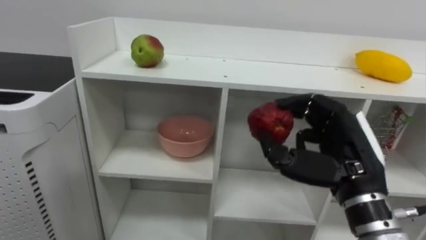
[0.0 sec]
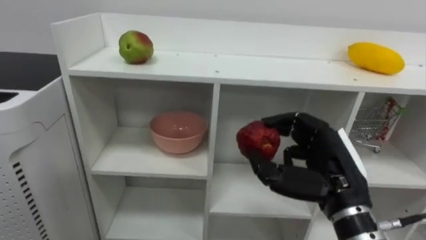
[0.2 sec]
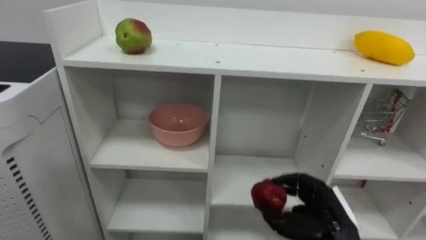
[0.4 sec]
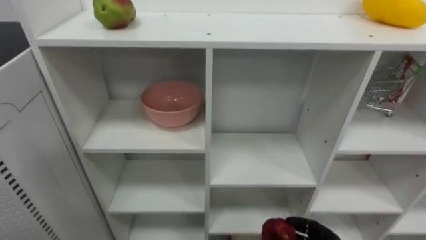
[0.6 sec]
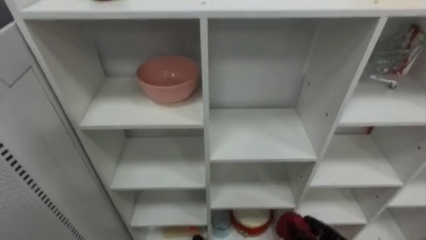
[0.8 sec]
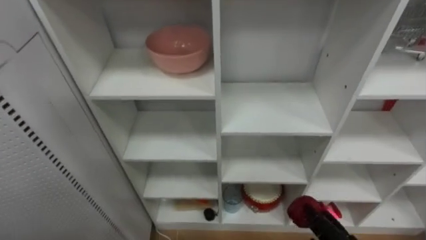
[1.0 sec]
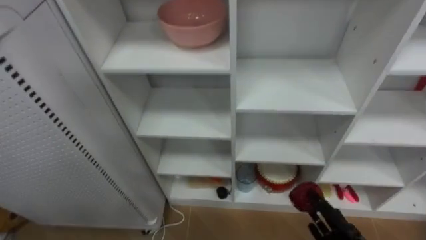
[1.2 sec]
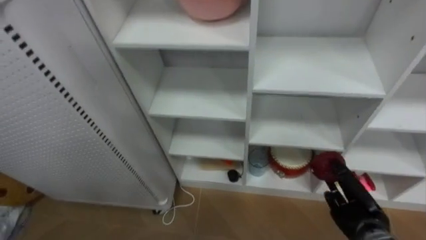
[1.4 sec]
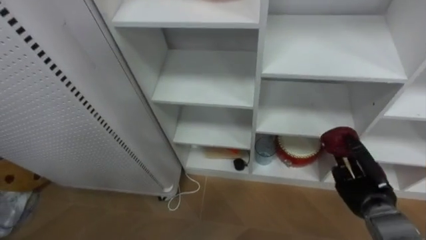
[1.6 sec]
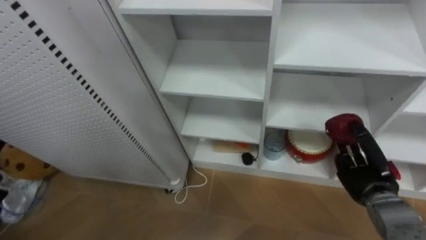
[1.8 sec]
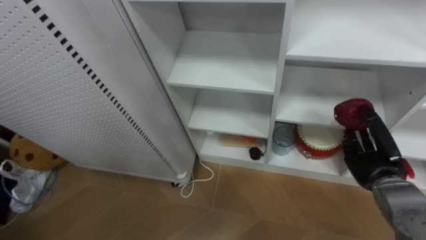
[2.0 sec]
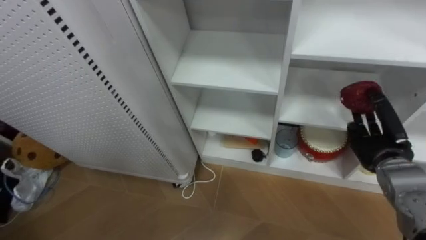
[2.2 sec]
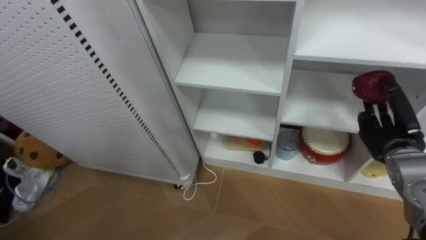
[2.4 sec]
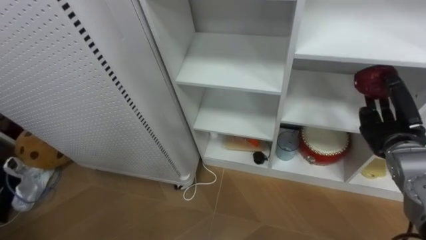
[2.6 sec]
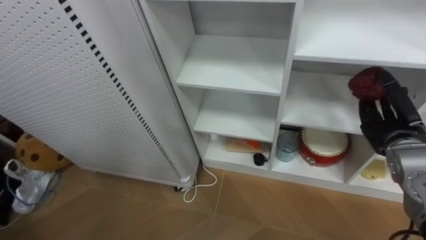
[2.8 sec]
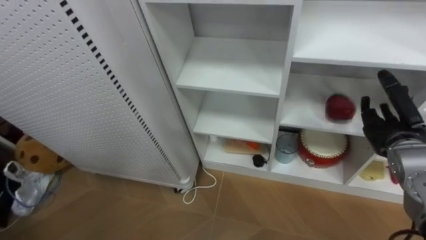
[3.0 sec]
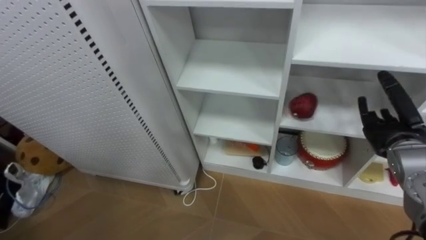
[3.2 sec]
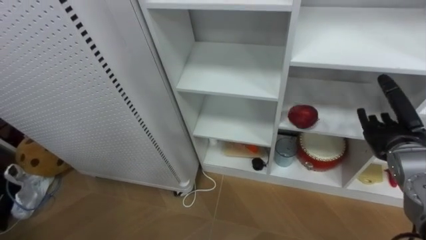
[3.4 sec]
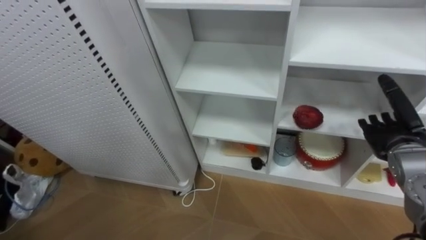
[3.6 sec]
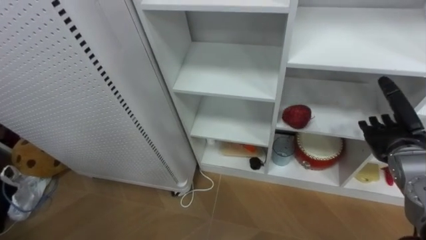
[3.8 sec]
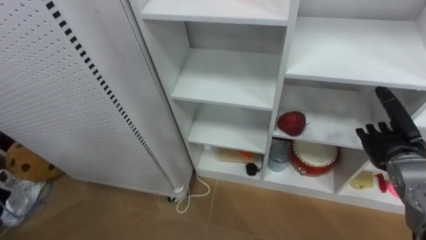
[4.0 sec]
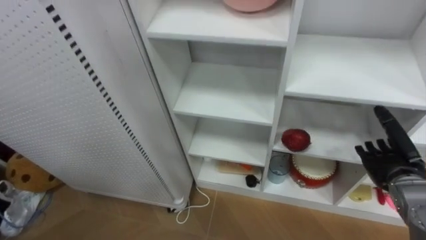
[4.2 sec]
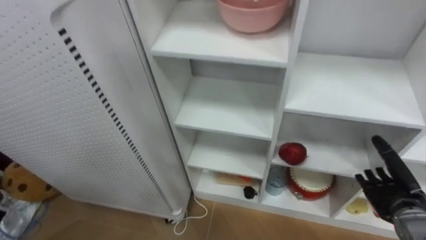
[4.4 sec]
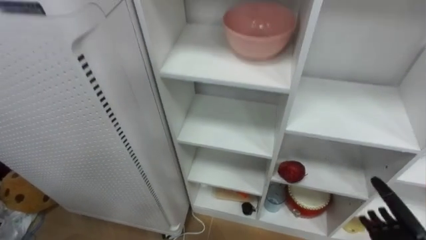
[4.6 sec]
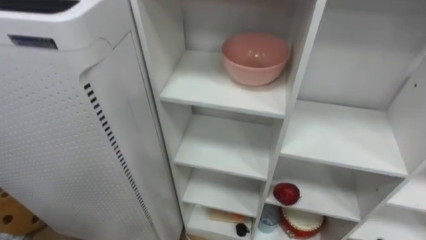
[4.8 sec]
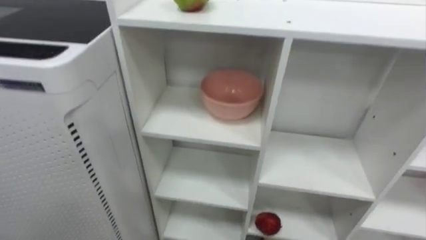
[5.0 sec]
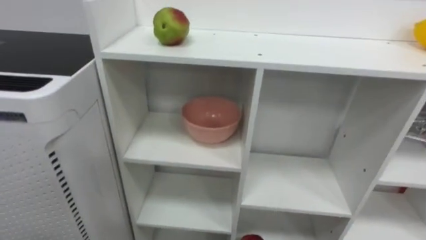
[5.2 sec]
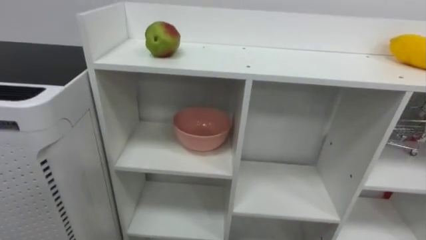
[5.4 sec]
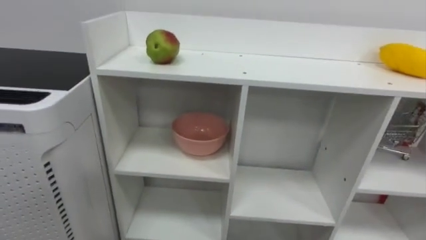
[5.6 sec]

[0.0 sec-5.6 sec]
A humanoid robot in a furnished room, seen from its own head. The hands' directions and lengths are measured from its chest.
Task of the whole recording: Put the apple in the cell in the second column from the left and the second row from the top.
1.4 sec to 2.8 sec: The right hand moves upward, approximately 15 cm.
2.8 sec to 4.2 sec: The right hand travels downward by approximately 5 cm, and opens up.

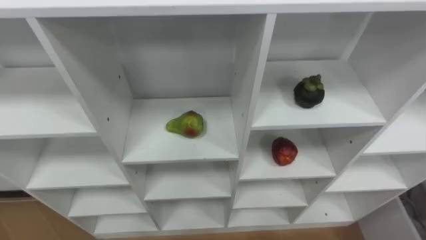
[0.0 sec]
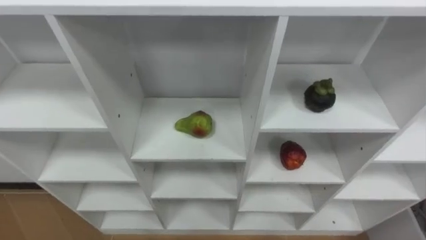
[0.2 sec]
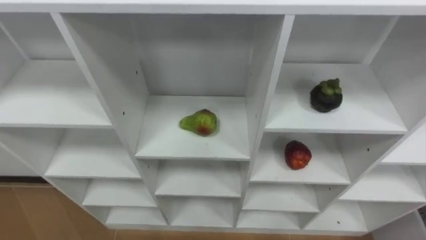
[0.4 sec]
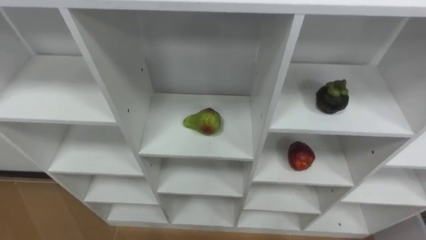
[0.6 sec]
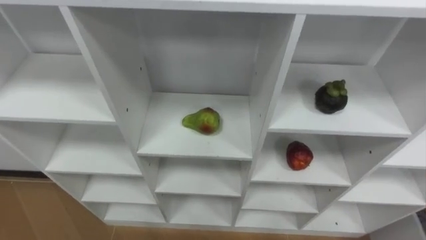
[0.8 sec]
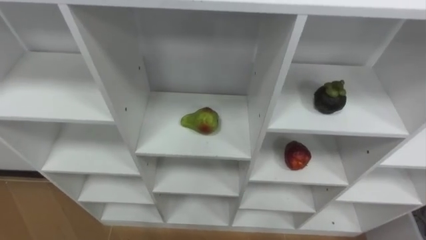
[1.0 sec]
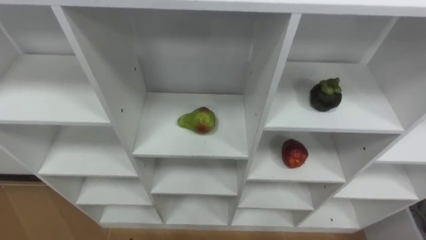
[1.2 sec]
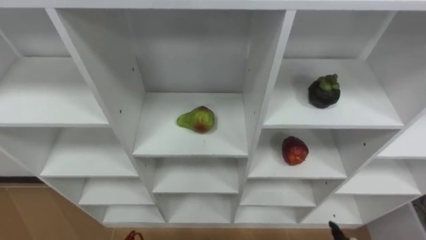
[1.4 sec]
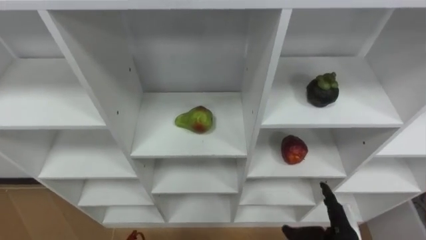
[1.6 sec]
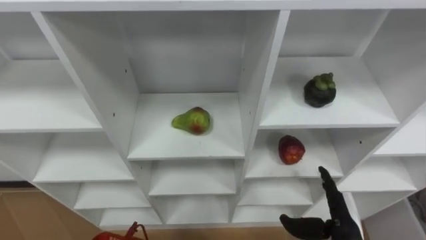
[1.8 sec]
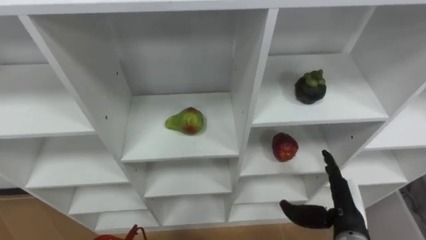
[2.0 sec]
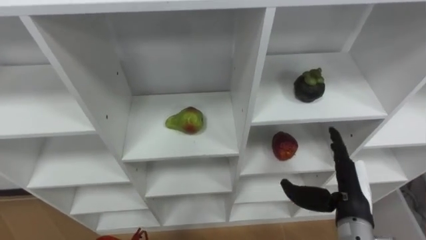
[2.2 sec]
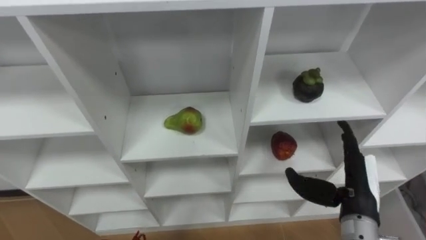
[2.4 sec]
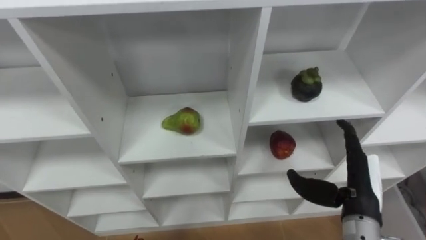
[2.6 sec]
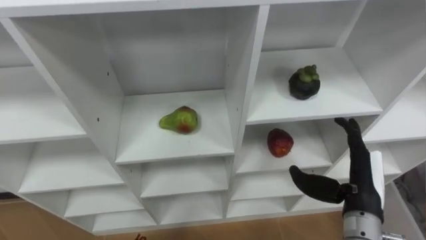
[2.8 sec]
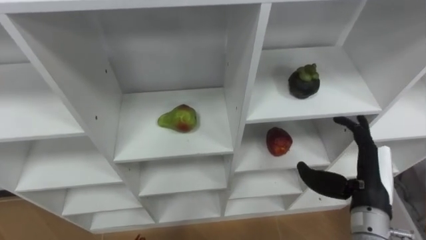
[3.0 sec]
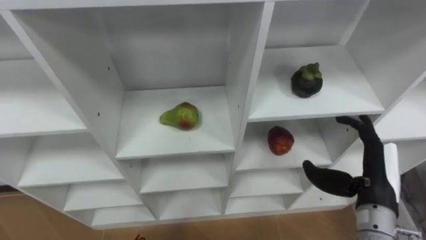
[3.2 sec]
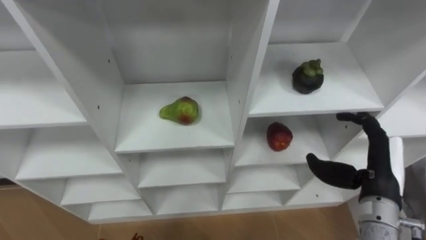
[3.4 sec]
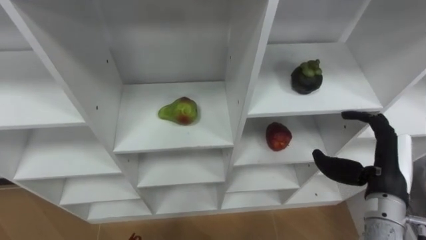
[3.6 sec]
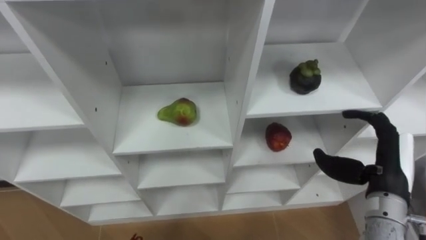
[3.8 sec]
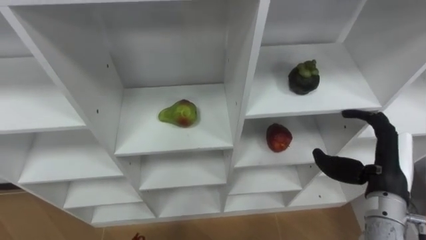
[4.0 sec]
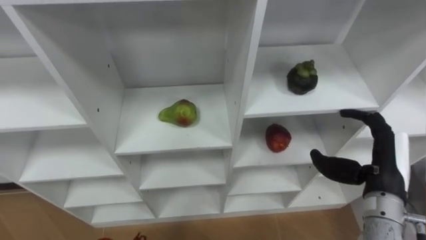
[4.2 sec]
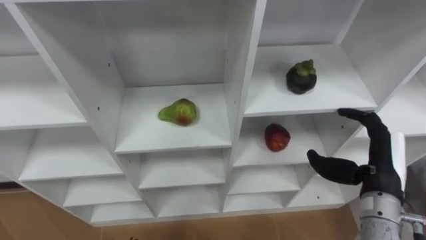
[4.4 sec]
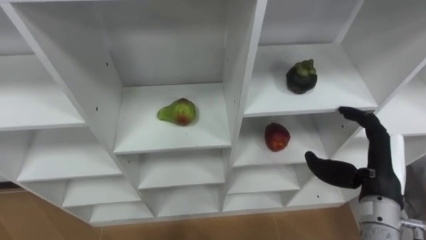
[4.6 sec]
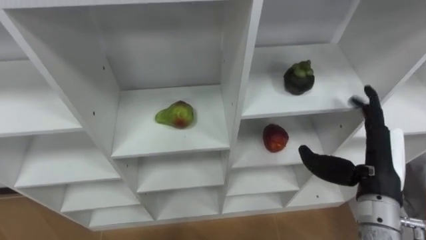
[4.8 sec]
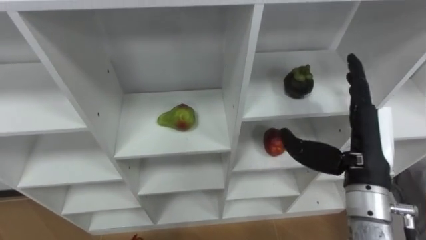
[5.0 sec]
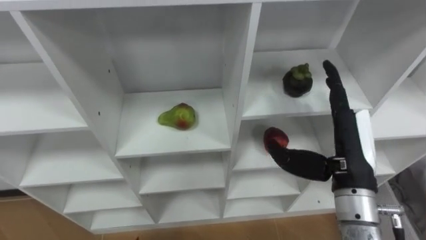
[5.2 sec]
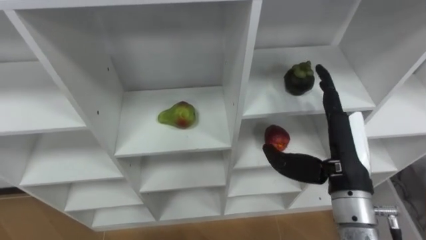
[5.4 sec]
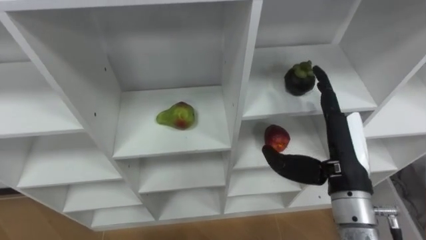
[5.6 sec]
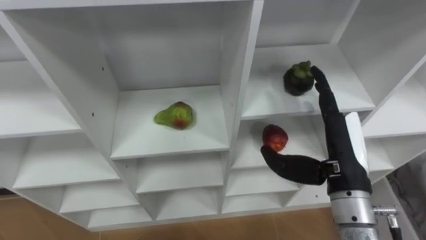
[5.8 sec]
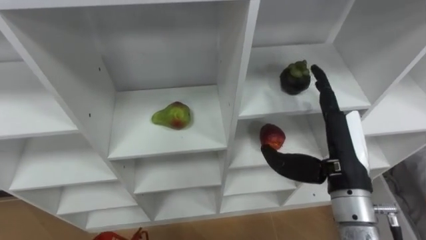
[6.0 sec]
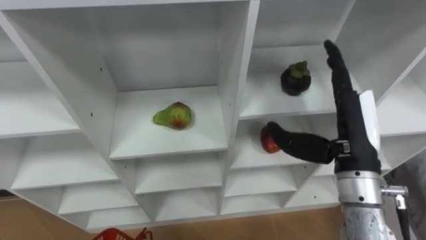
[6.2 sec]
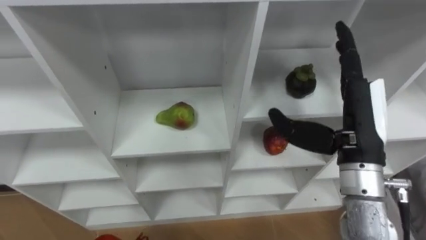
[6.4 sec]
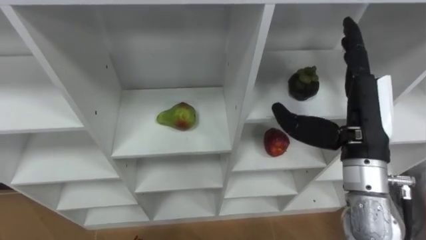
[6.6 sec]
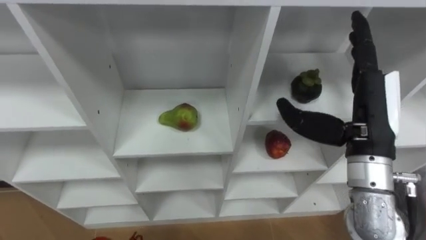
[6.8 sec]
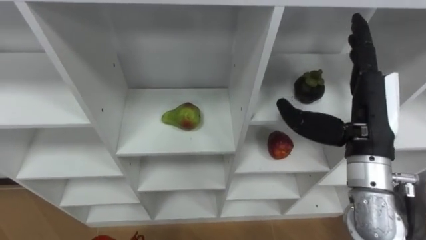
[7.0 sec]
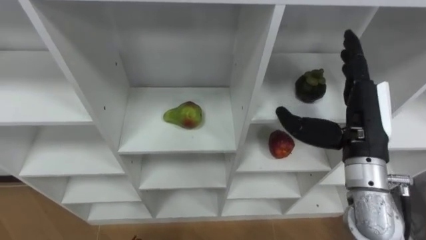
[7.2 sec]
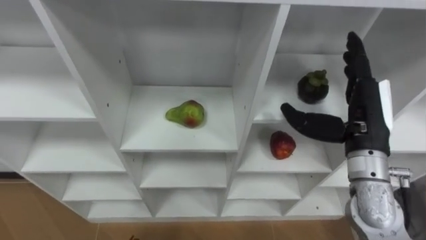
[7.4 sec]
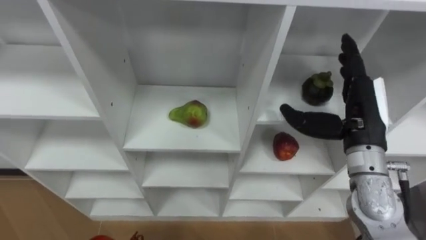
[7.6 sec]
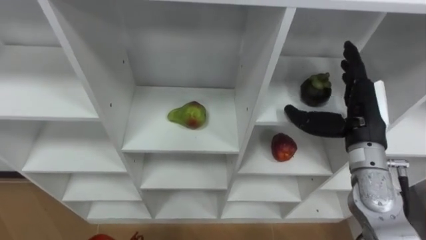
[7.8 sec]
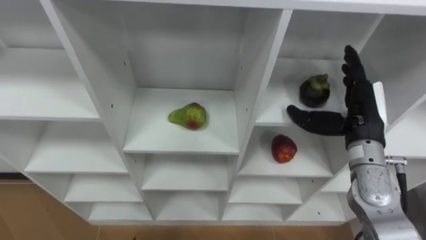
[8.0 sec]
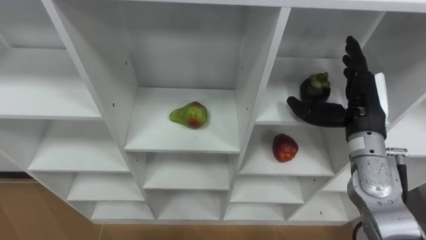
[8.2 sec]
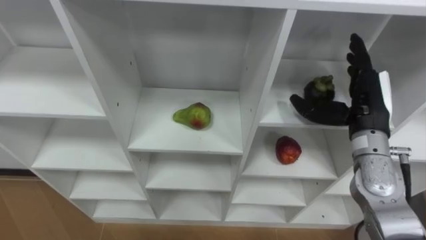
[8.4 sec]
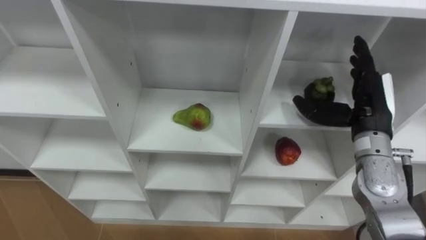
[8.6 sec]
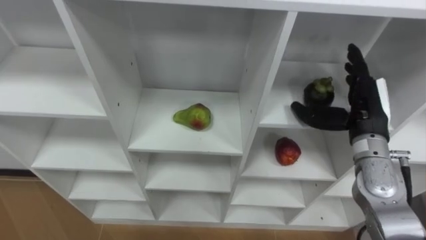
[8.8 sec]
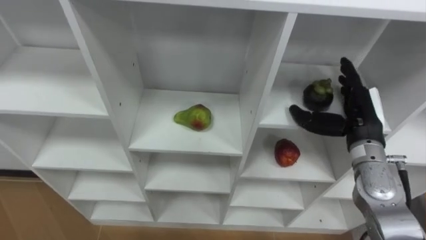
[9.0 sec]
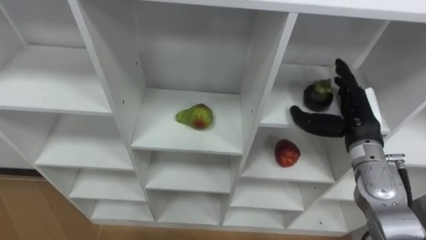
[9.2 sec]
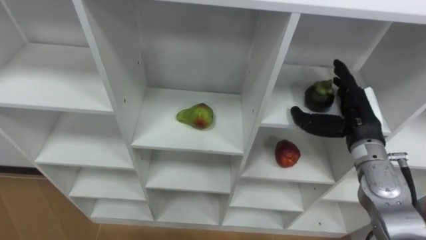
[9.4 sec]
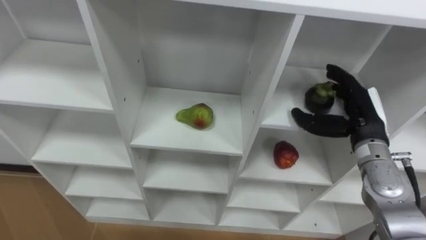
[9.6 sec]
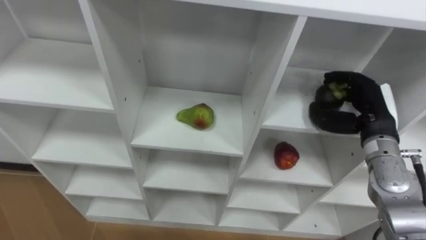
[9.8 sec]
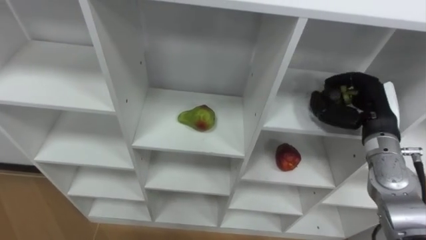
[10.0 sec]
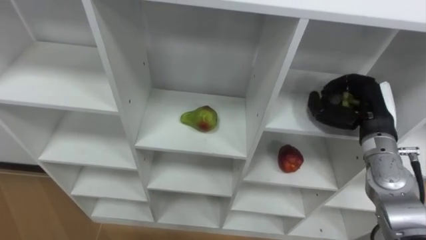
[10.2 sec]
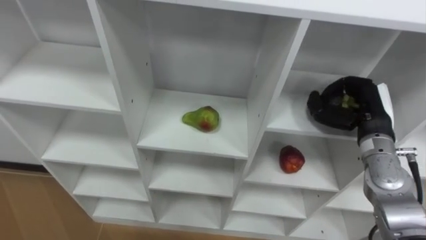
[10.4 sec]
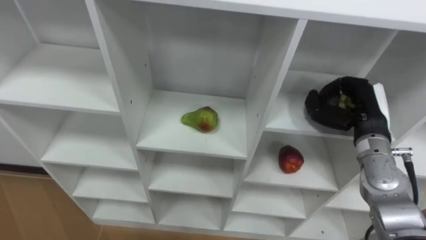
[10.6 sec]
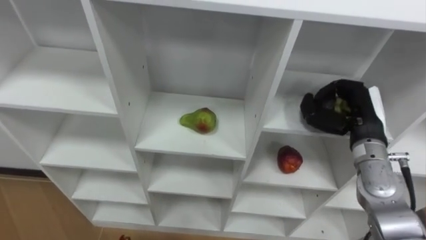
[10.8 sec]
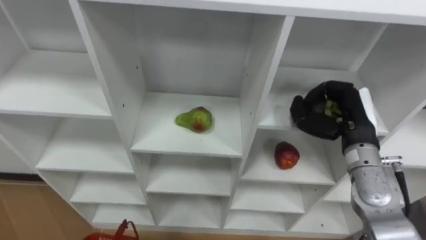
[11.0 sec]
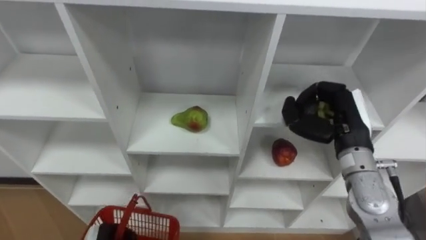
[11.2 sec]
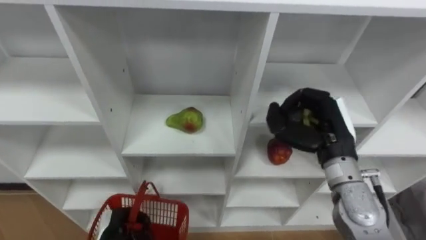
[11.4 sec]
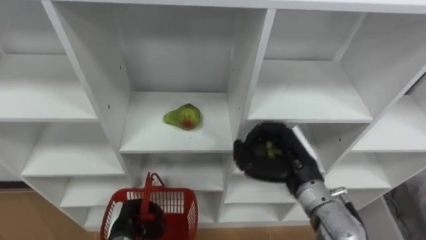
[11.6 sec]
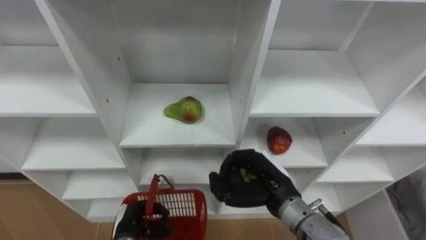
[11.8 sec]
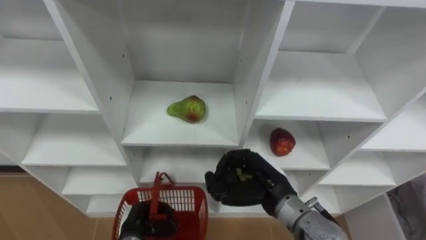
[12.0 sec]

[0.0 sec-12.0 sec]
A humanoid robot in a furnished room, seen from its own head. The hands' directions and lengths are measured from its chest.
Task of the whole recording: Hold the basket and collect the fruits from 3 different cells of the closet into it.
1.6 sec to 3.0 sec: The right hand shifts roughly 15 cm upward.
4.4 sec to 6.0 sec: The right hand goes about 10 cm to the left and upward.
6.0 sec to 7.6 sec: The right hand goes roughly 5 cm forward.
7.6 sec to 9.0 sec: The right hand changes place by approximately 5 cm.
9.0 sec to 10.4 sec: The right hand closes up.
10.4 sec to 12.0 sec: The right hand travels to the left and backward by some 20 cm.
